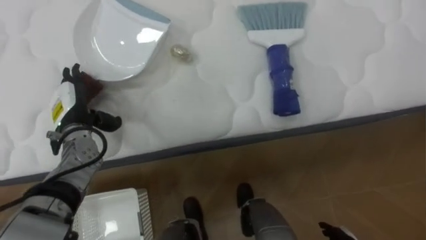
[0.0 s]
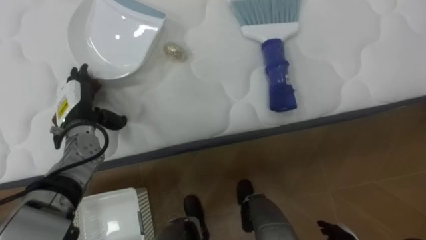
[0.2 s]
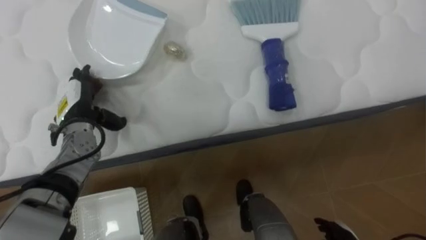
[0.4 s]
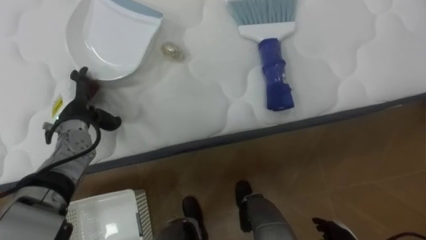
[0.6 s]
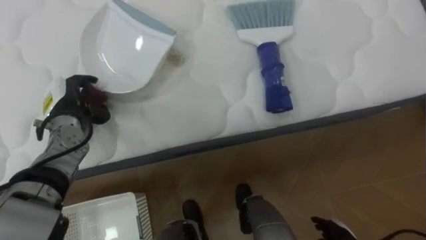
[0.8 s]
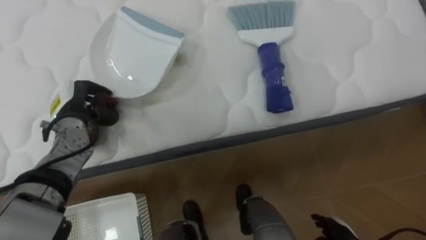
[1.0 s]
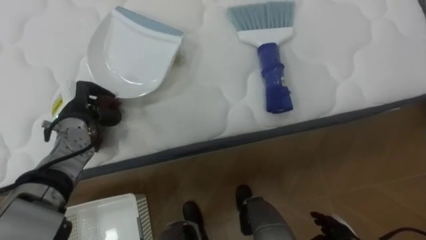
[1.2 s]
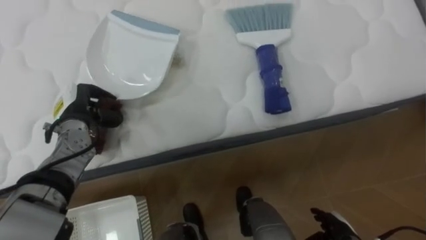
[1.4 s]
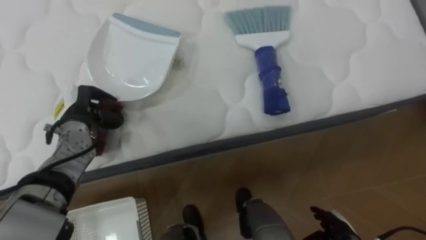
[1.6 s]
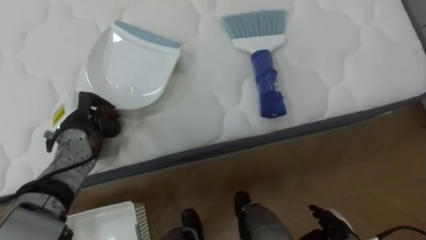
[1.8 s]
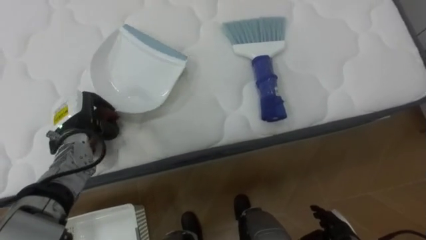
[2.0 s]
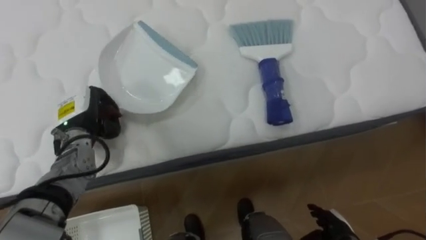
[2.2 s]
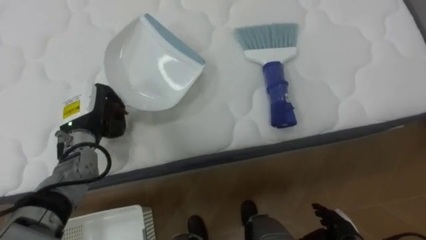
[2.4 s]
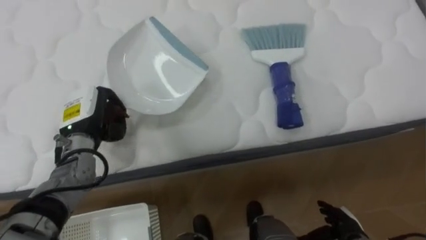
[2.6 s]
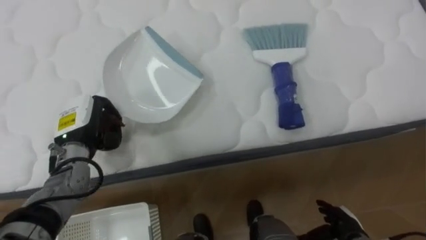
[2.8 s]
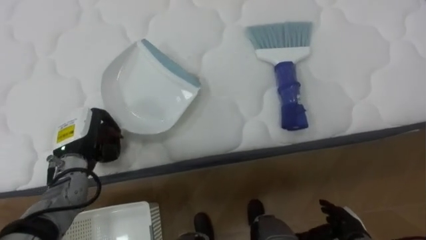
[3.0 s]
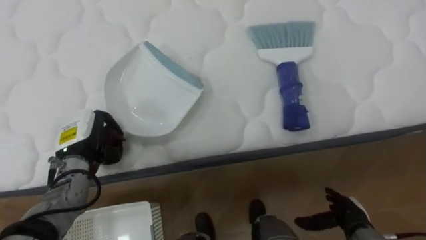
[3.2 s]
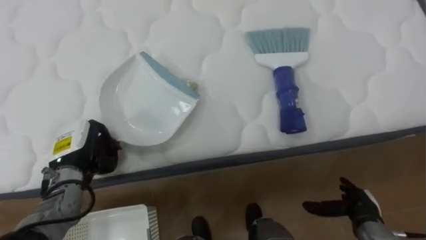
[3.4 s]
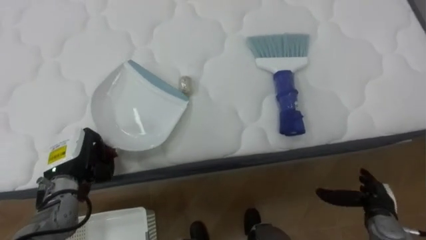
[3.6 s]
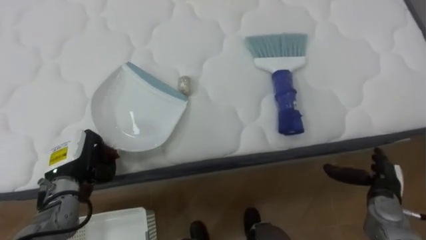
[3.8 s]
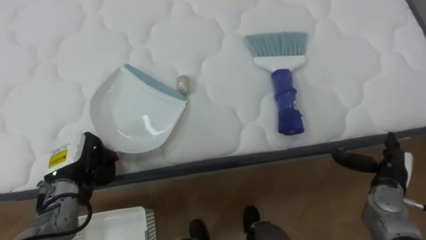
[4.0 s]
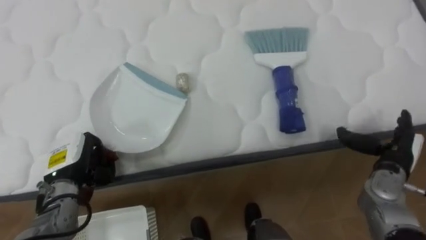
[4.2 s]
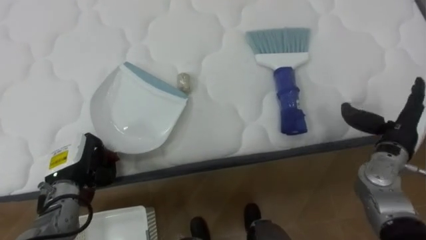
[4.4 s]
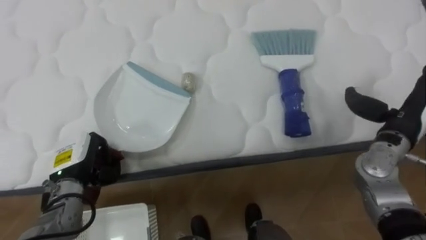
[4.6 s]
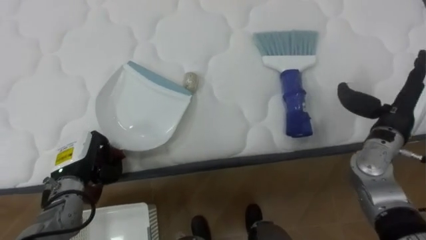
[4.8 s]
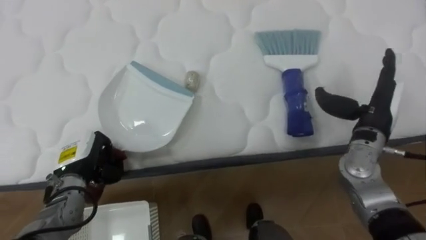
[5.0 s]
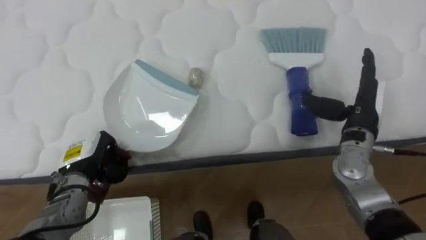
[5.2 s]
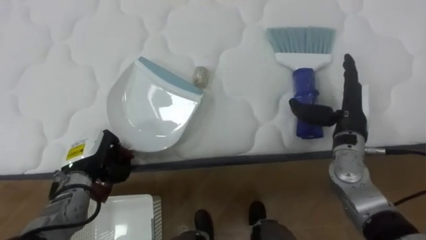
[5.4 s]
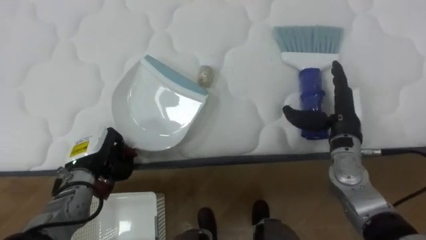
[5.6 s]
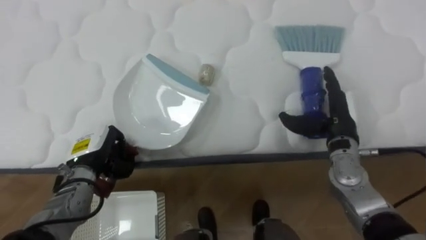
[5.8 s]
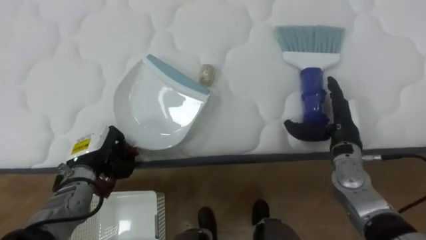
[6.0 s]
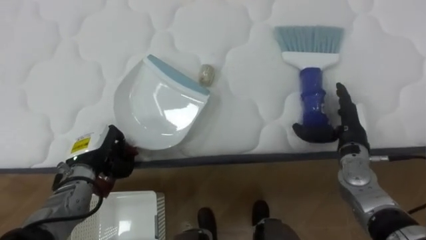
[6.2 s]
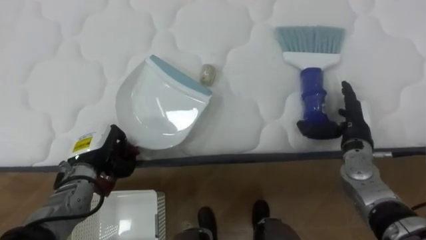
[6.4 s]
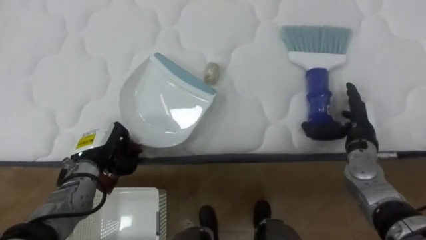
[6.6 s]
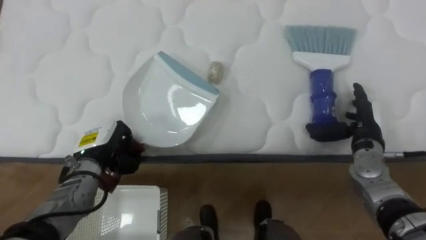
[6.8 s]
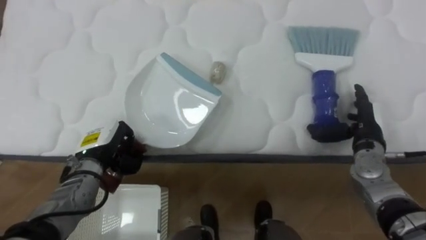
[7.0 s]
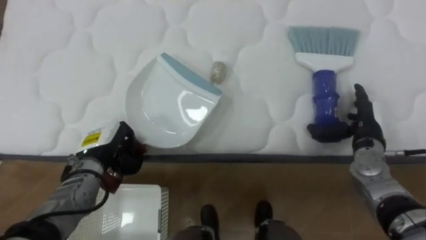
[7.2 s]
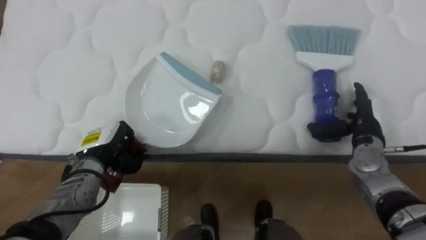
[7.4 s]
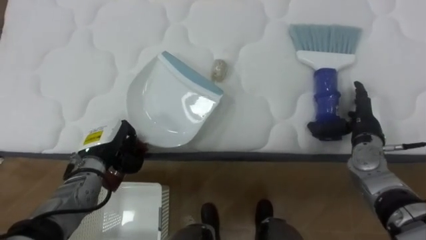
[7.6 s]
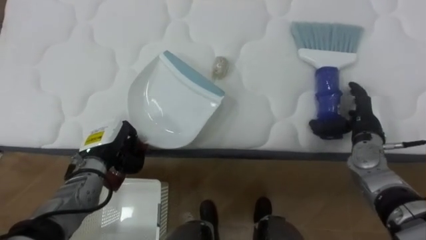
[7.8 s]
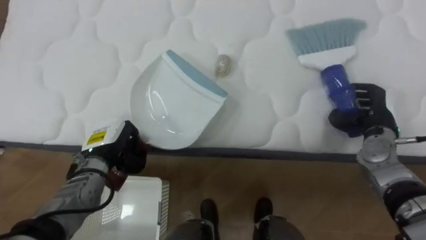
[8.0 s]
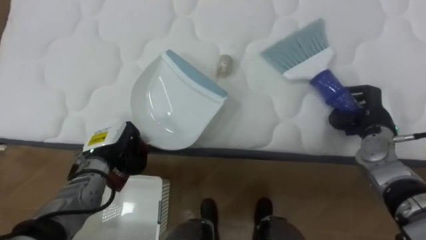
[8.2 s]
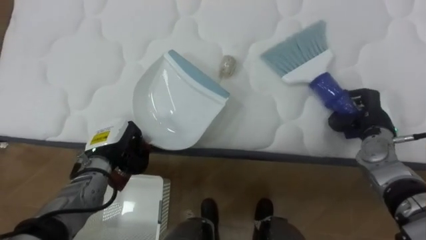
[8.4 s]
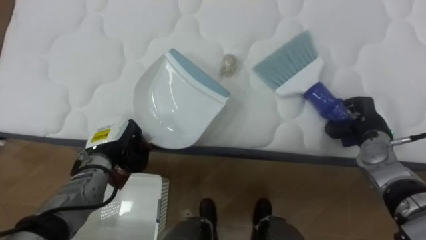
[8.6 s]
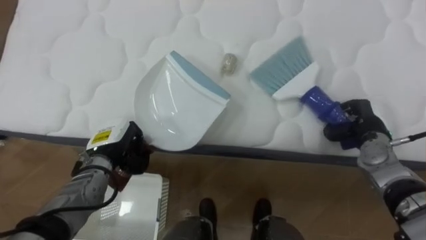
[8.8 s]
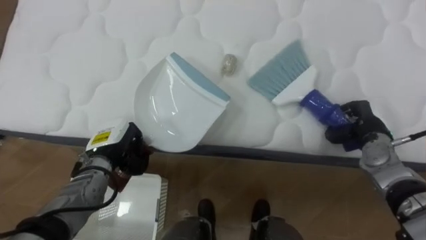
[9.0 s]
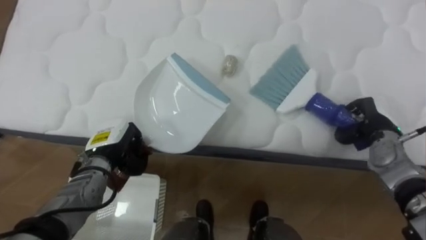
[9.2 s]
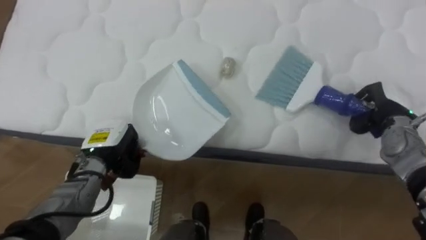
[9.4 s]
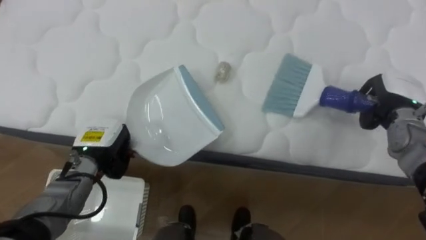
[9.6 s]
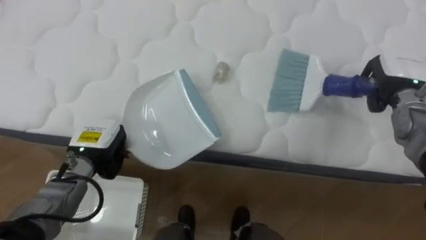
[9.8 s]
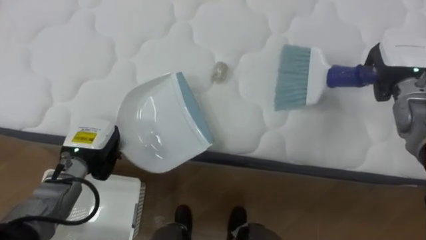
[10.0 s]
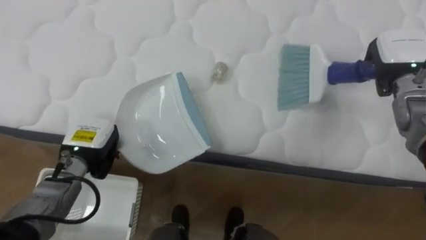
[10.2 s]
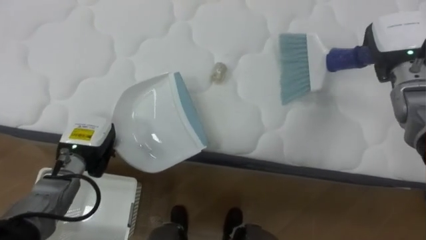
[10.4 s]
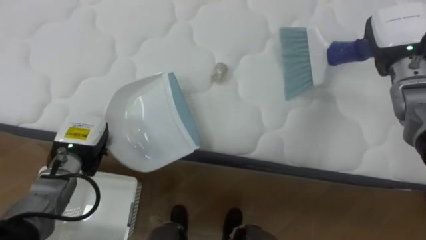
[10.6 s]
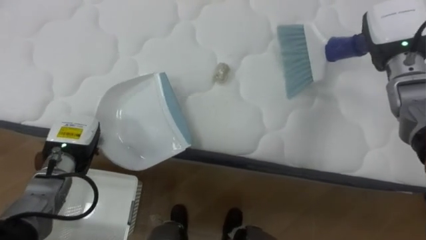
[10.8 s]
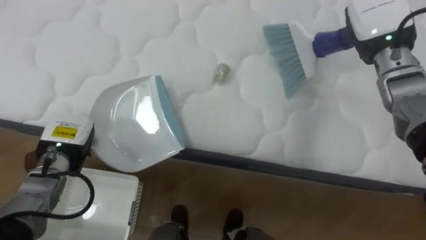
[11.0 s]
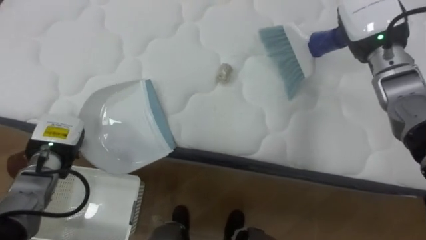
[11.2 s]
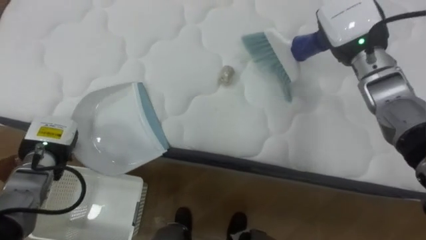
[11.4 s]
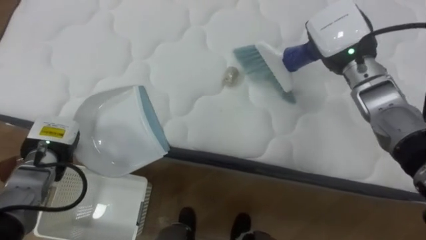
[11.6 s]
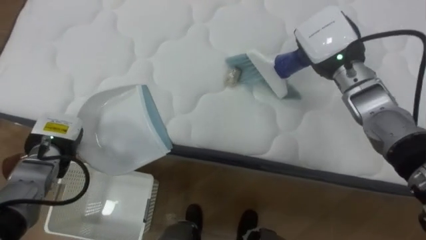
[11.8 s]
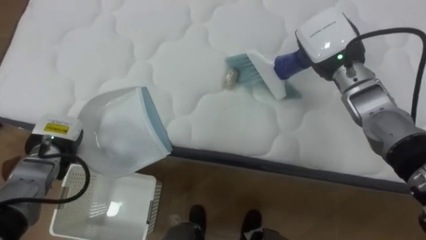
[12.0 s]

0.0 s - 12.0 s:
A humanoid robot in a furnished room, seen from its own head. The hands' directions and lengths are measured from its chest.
Task of the whole recording: Pick up the brush on your right and the dustpan on your left. Use the brush to sweep the crumpled paper on the bed into the dustpan, then turn left and empty it into the basket.
0.0 s - 1.6 s: The left hand closes up.
1.6 s - 3.0 s: The left hand shifts by approximately 5 cm.
3.0 s - 4.4 s: The left hand moves about 5 cm; the right hand moves upward and forward, about 20 cm.
4.4 s - 6.0 s: The right hand moves to the left, some 10 cm.
6.0 s - 7.6 s: The right hand goes some 5 cm to the right.
7.6 s - 9.0 s: The right hand closes up.
9.0 s - 10.4 s: The right hand shifts roughly 15 cm upward and forward.
10.4 s - 12.0 s: The left hand moves to the left, some 5 cm; the right hand shifts approximately 10 cm to the left.

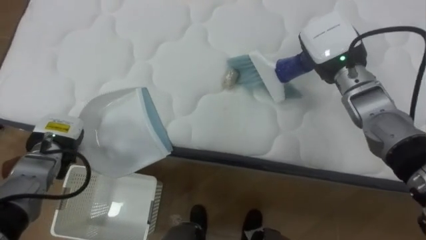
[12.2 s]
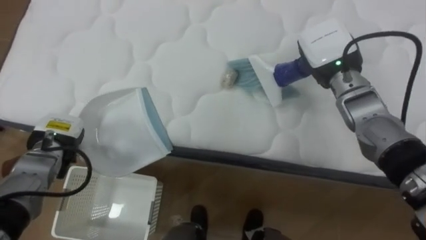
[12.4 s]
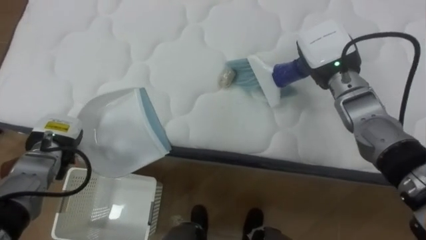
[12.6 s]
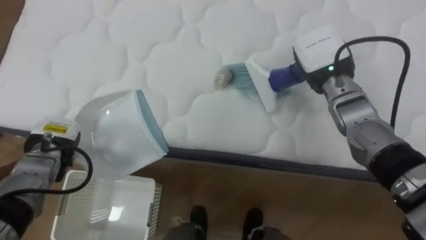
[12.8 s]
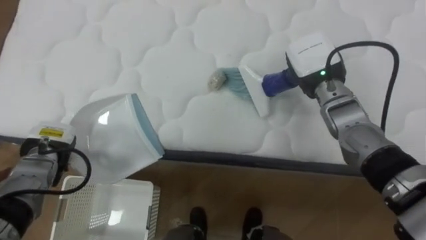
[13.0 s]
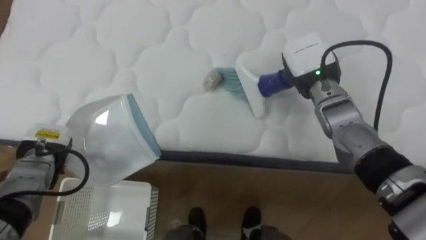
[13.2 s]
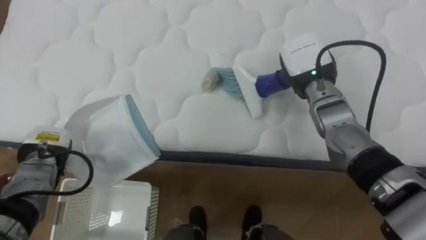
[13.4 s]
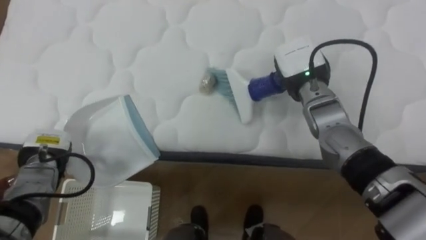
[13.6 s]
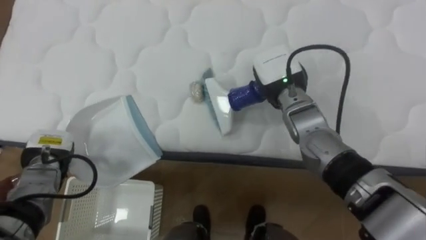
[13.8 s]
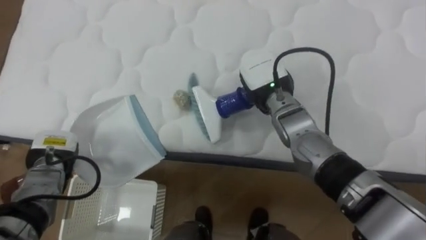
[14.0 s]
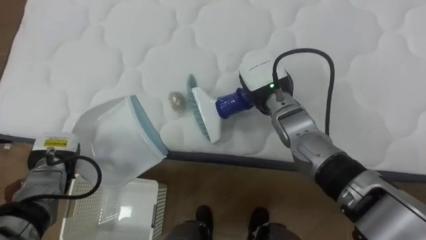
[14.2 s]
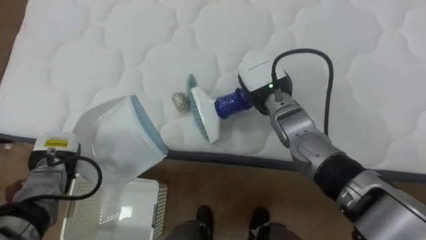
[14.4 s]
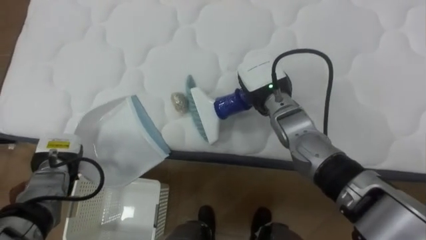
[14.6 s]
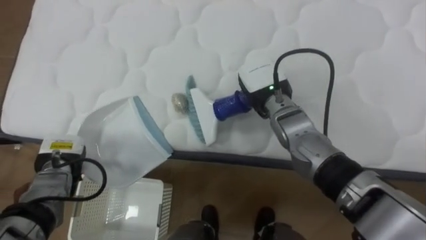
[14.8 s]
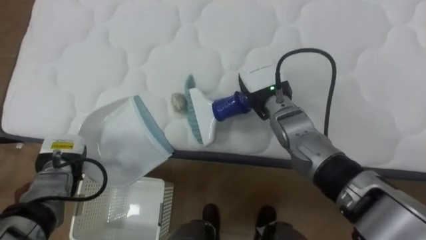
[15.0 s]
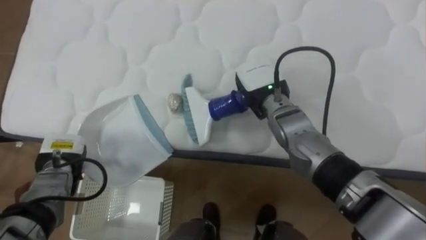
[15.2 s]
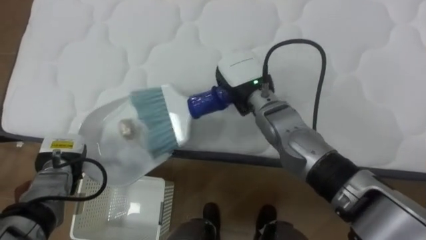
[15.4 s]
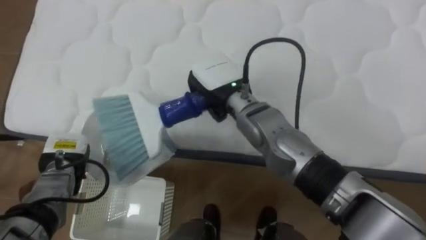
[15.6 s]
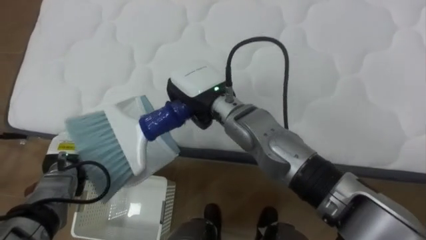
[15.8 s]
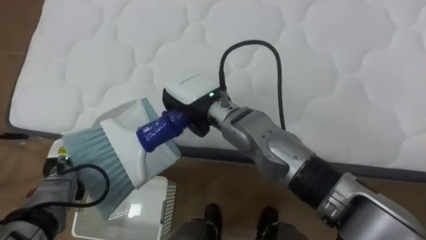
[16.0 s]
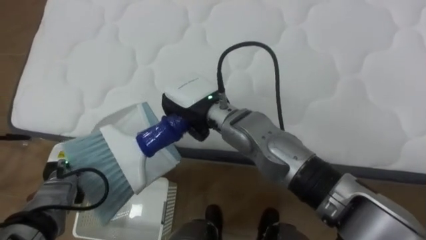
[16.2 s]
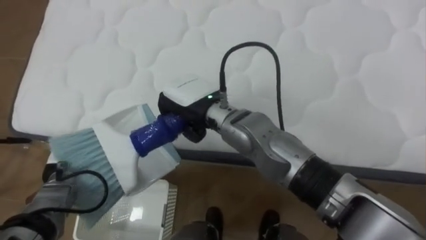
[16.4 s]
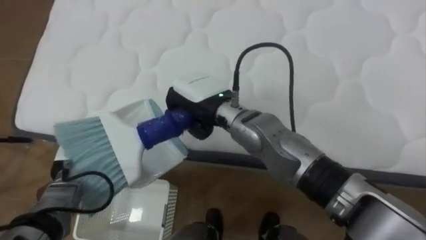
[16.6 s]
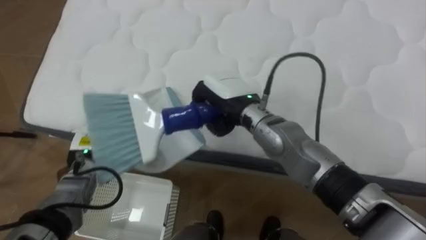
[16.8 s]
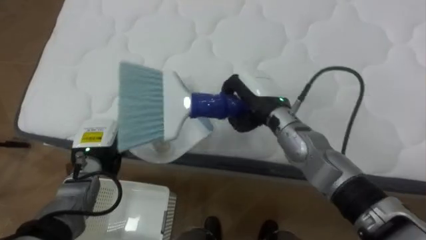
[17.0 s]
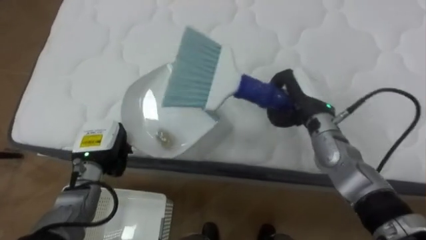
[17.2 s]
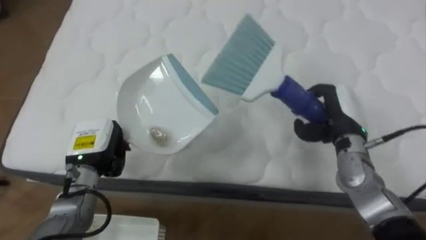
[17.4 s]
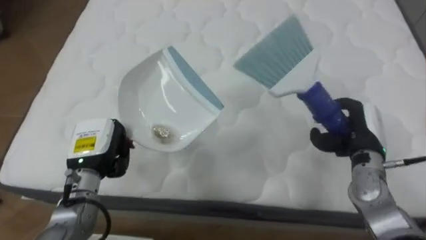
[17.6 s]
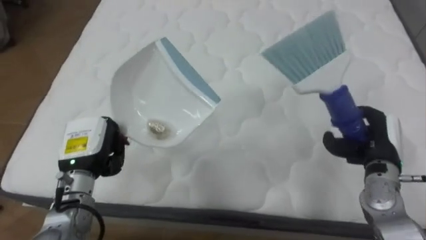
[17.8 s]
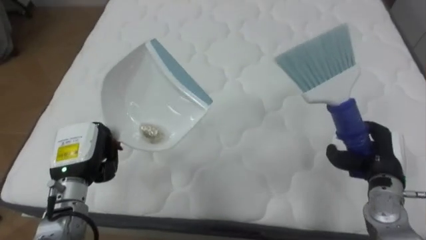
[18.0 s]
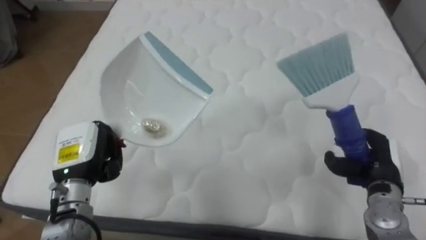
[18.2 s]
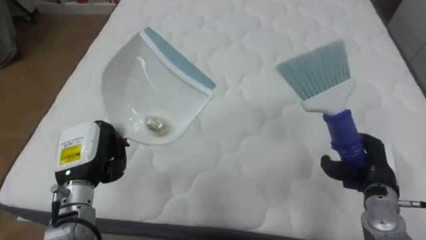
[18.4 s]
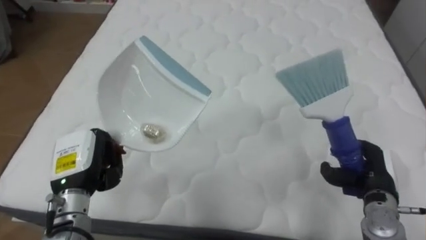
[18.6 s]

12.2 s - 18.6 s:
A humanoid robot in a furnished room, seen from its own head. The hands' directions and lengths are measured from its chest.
Task of the whole recording: Pick up the brush on your right and the dustpan on your left. Use the brush to sweep the crumpled paper on the bed into the dustpan, then turn left and empty it into the basket.
12.2 s - 13.8 s: The right hand is displaced to the left and downward by some 10 cm.
13.8 s - 15.4 s: The right hand is displaced to the left by roughly 5 cm.
15.4 s - 17.0 s: The right hand reaches some 10 cm to the left, then returns, while the left hand heads to the right, covering about 5 cm.
17.0 s - 18.6 s: The left hand shifts some 5 cm backward; the right hand shifts roughly 30 cm to the right, backward and downward.
